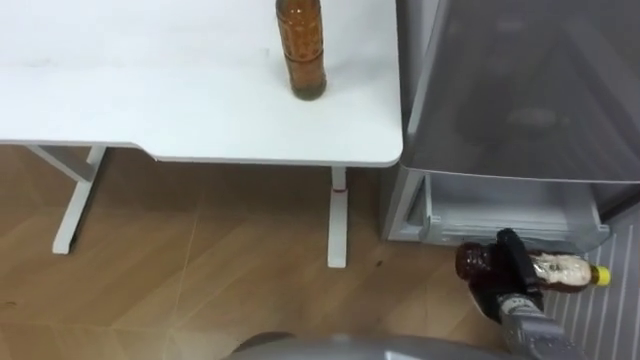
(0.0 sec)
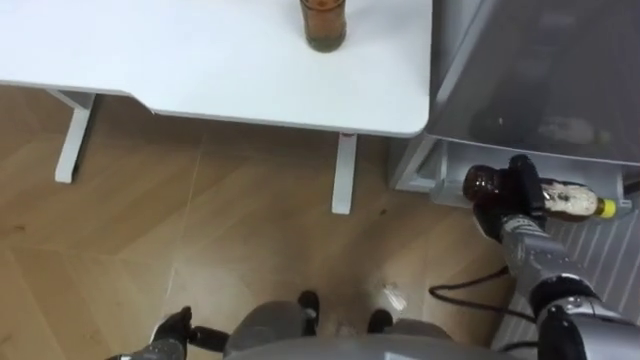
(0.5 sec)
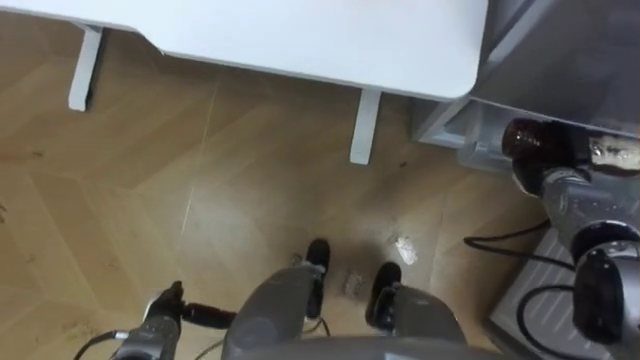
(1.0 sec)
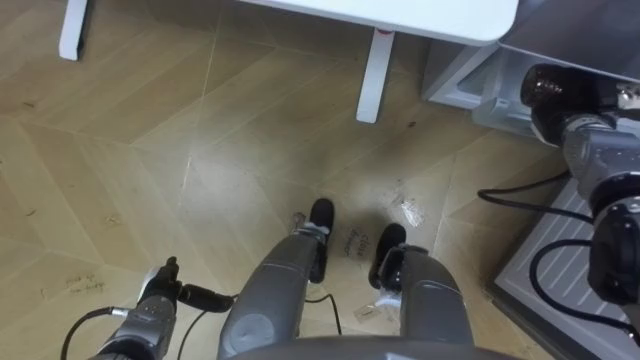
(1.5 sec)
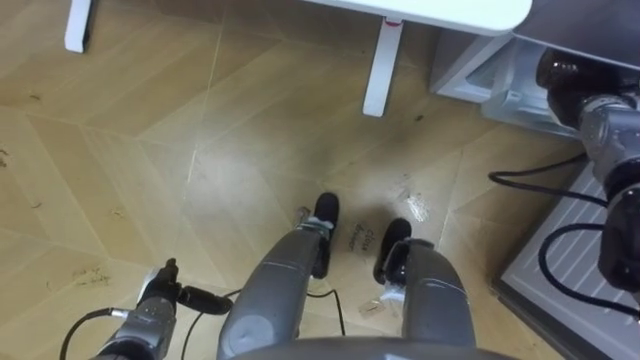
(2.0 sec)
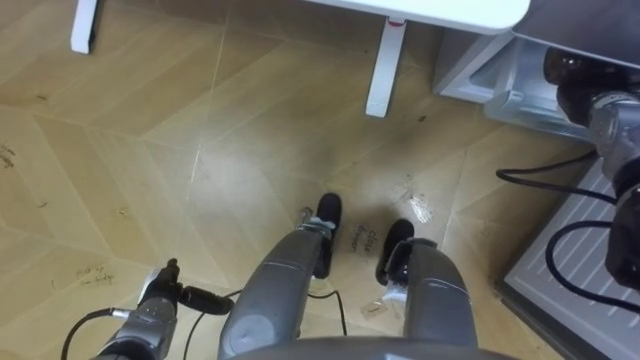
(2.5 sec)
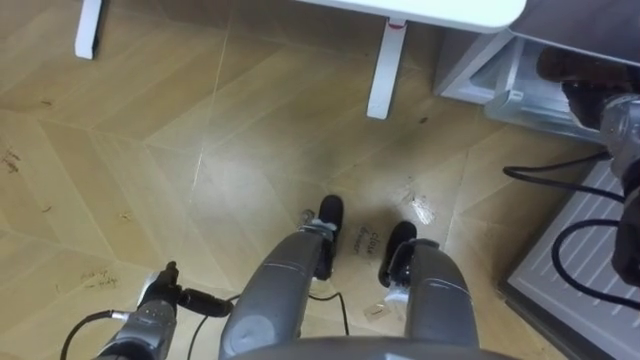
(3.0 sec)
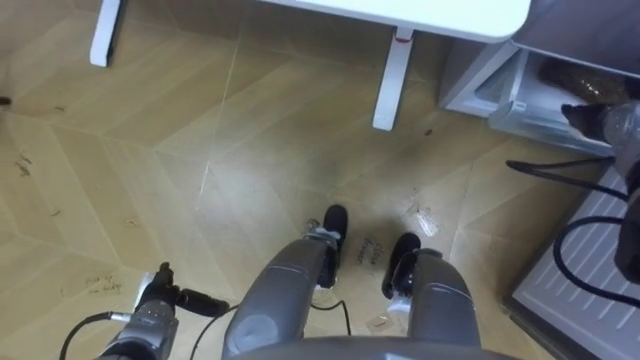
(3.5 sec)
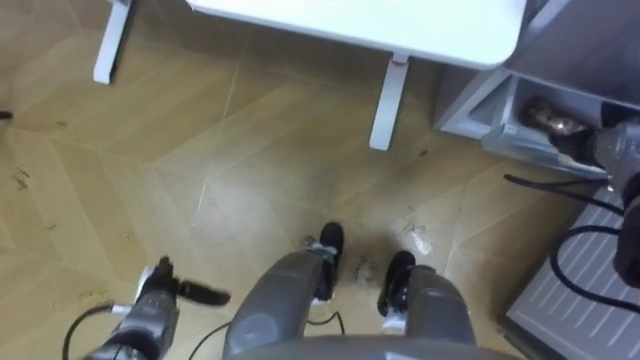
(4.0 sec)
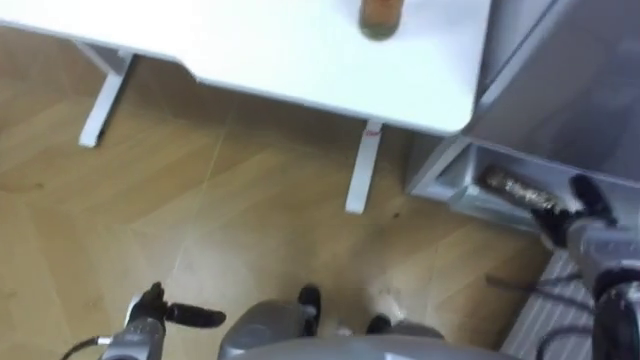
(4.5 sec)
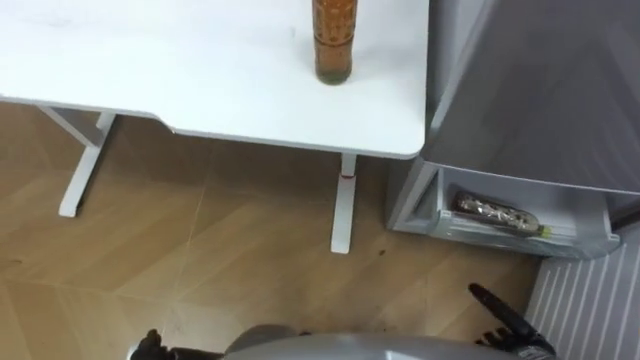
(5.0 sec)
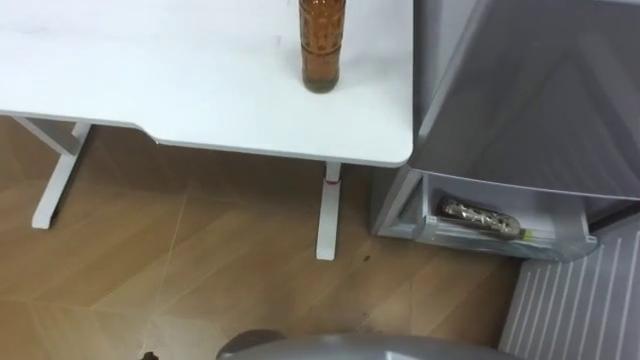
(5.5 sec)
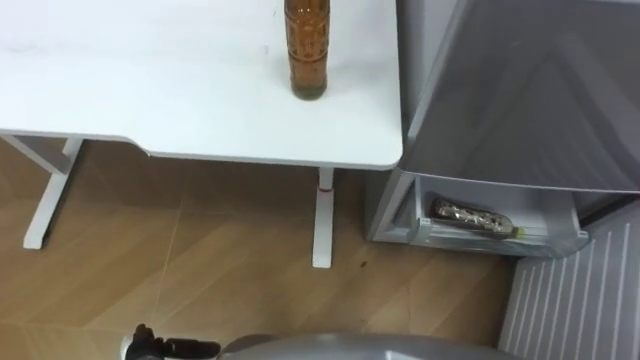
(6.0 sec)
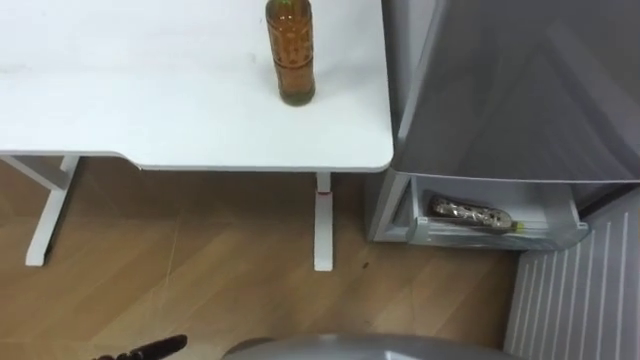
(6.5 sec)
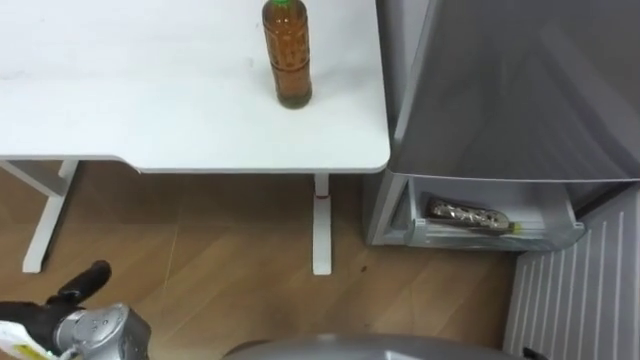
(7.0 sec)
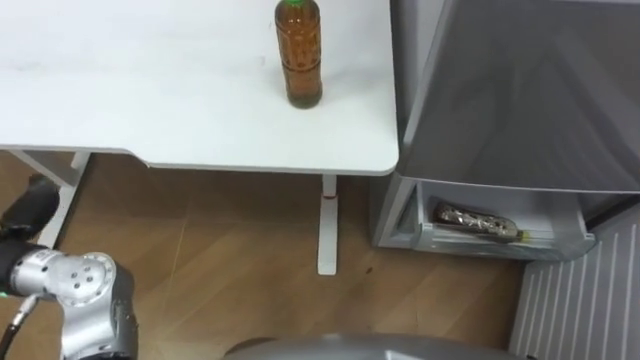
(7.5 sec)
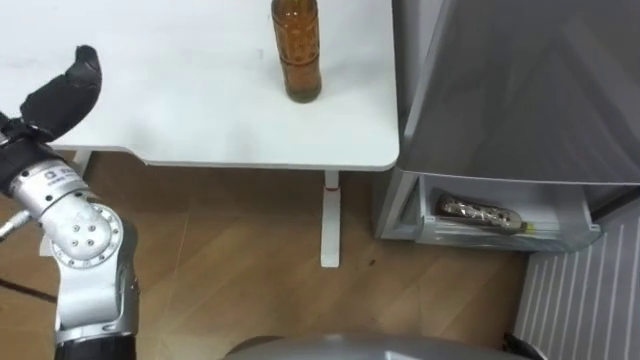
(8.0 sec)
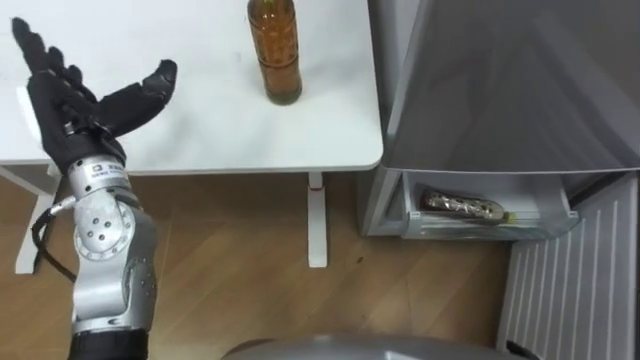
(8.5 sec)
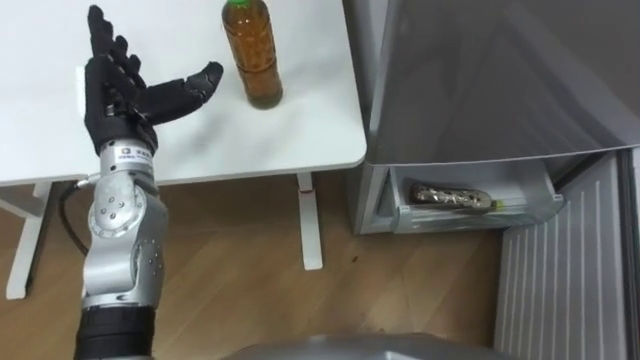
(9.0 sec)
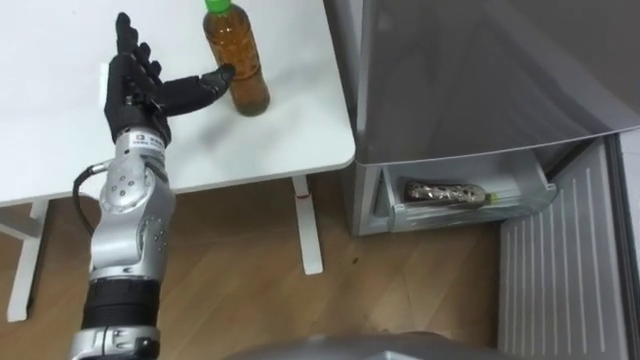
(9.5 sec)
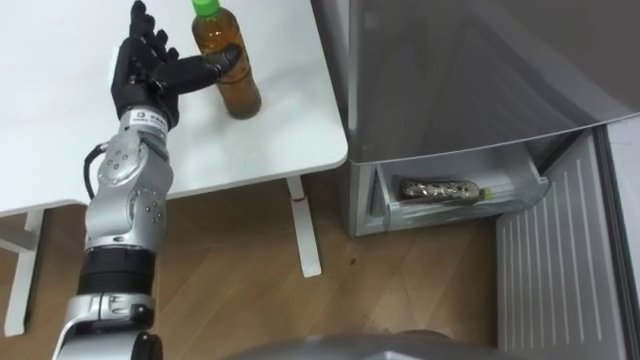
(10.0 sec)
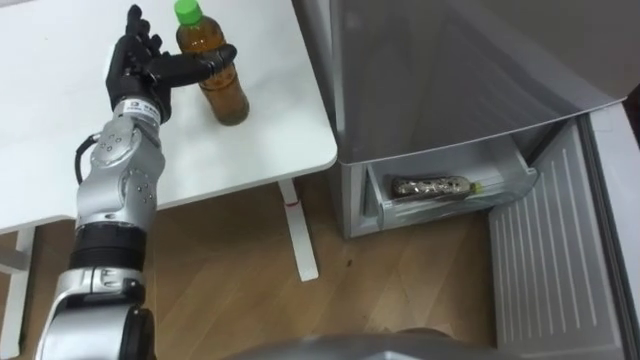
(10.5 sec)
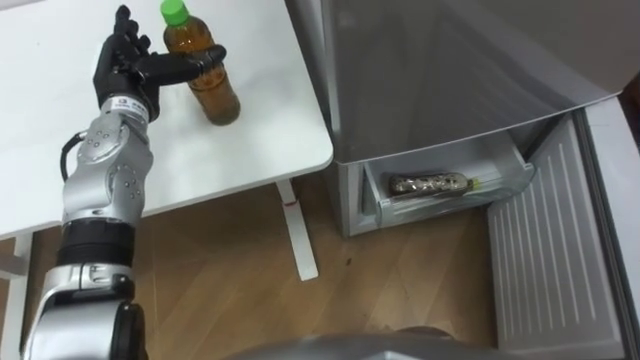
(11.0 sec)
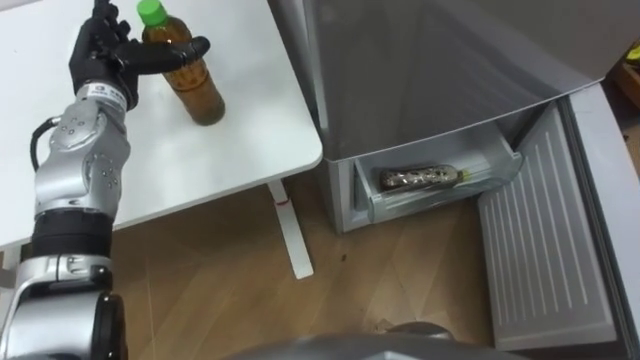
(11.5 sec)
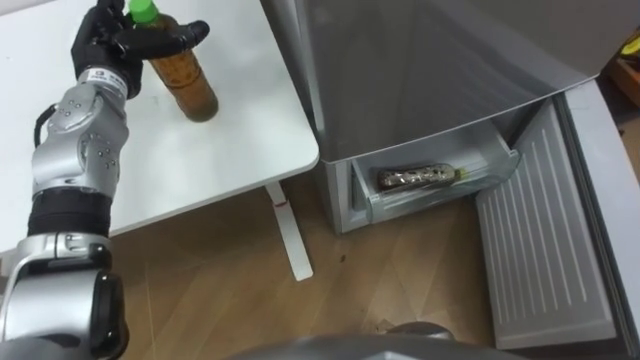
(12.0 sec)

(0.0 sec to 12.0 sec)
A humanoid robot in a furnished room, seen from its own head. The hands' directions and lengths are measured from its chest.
Task of the whole recording: Place the drink on the table on the bottom shelf of the refrigerator, then close the drawer and the refrigerator door.
0.0 sec - 2.0 sec: The right hand is displaced forward and upward by some 30 cm.
2.0 sec - 4.0 sec: The right hand moves approximately 5 cm, and opens up.
10.0 sec - 12.0 sec: The left hand moves some 5 cm.

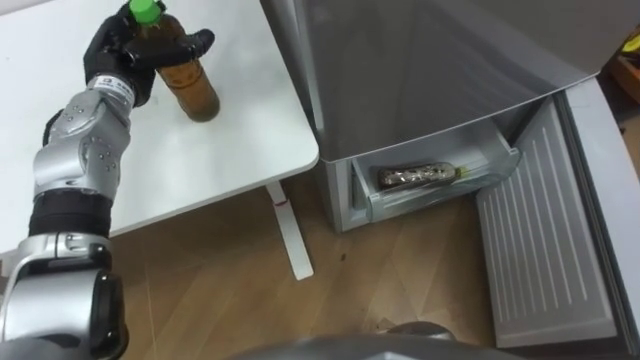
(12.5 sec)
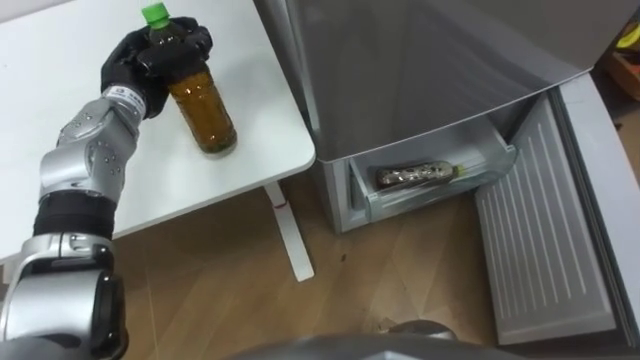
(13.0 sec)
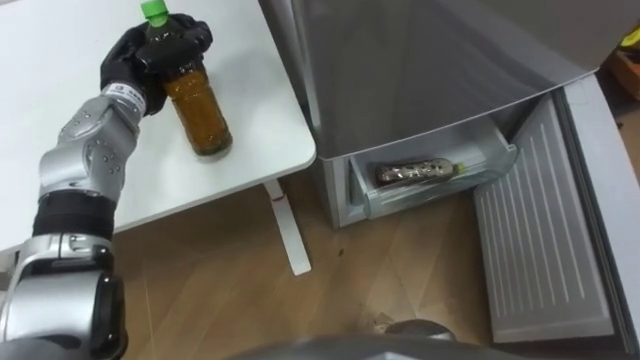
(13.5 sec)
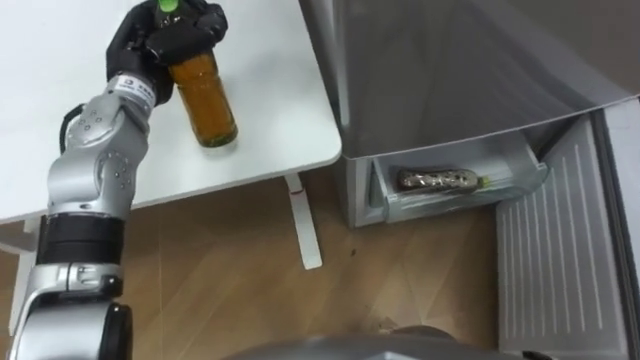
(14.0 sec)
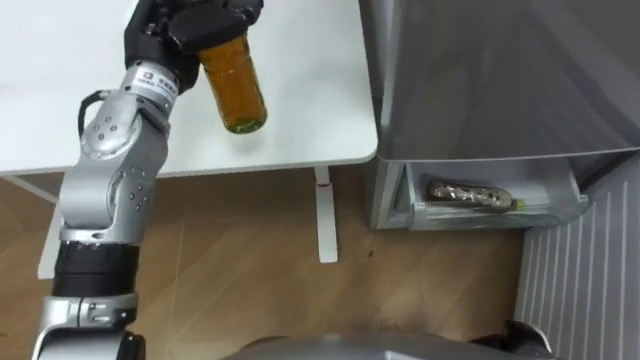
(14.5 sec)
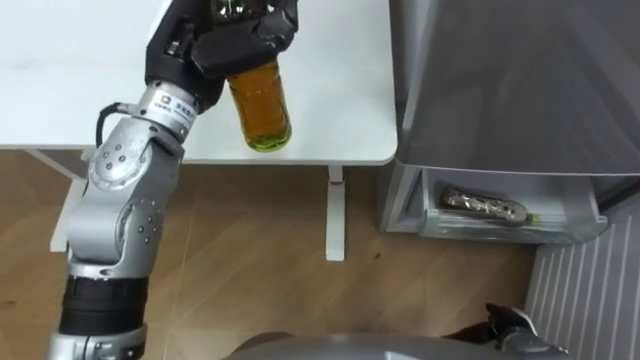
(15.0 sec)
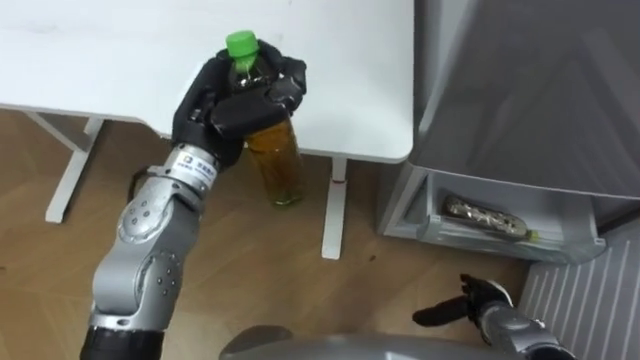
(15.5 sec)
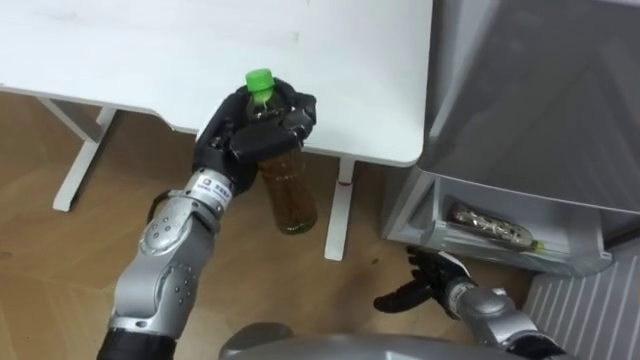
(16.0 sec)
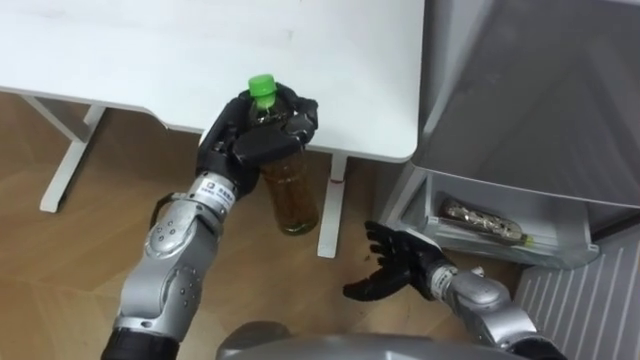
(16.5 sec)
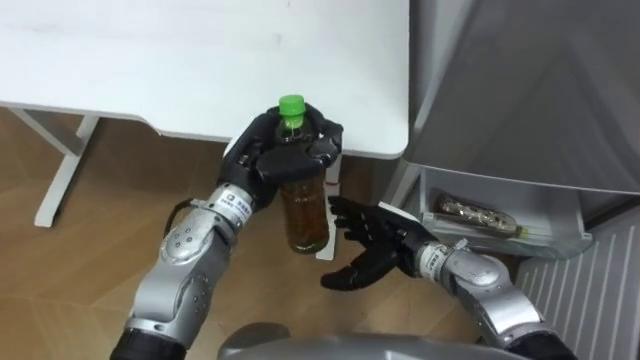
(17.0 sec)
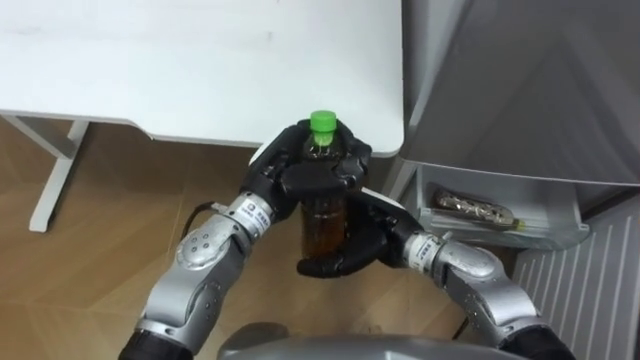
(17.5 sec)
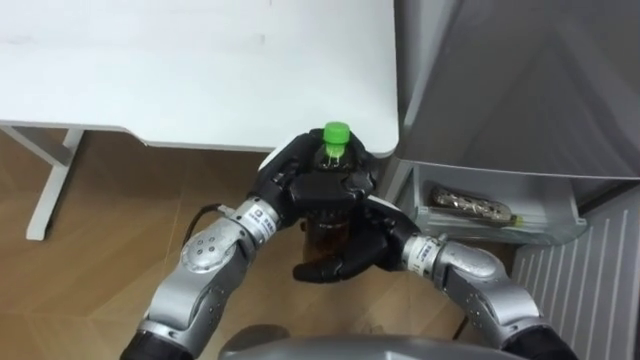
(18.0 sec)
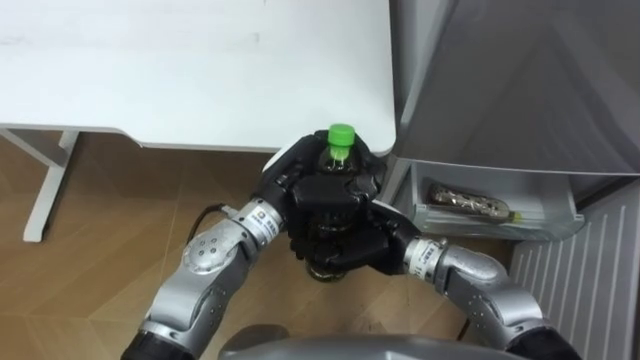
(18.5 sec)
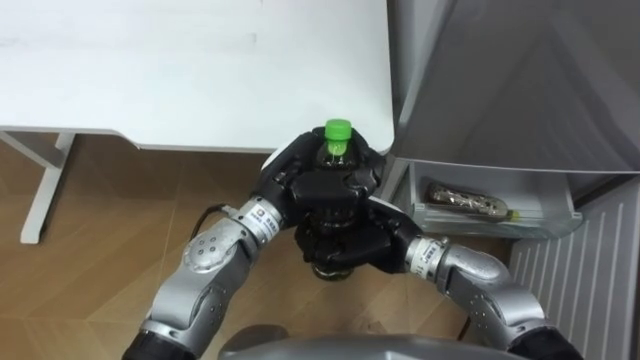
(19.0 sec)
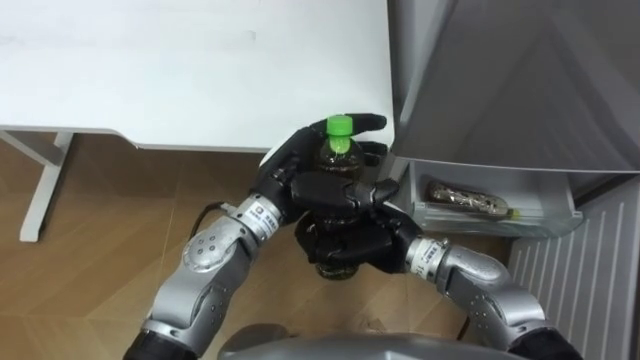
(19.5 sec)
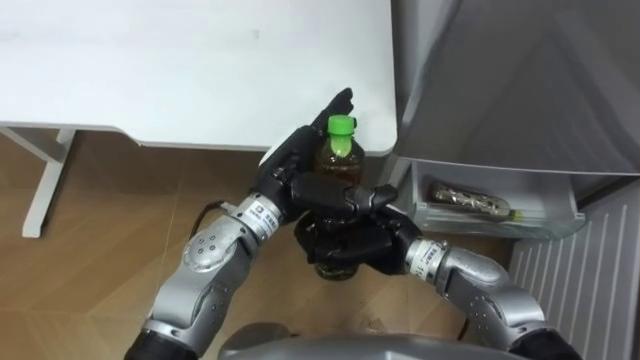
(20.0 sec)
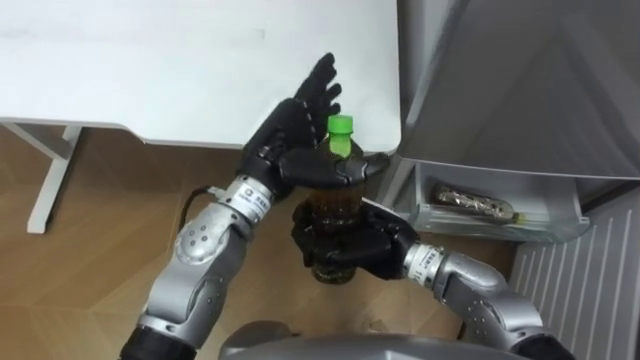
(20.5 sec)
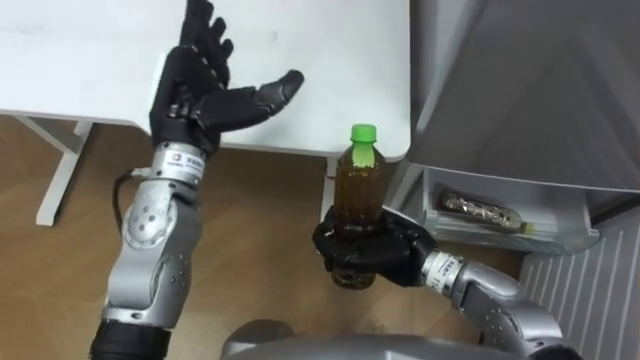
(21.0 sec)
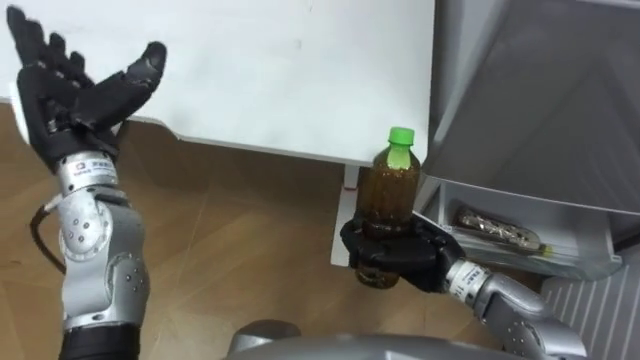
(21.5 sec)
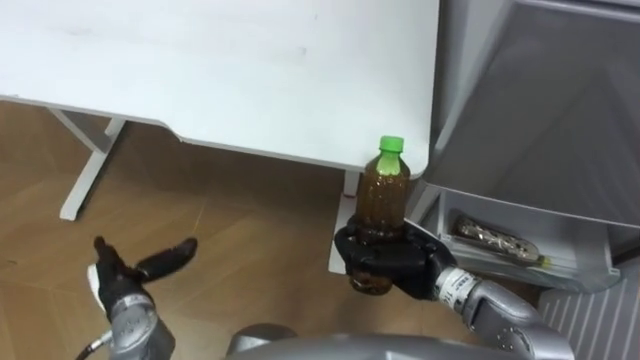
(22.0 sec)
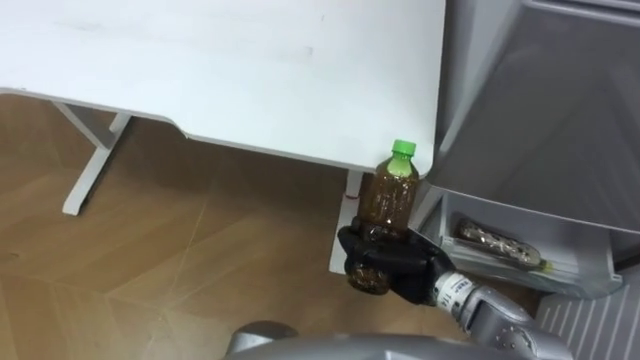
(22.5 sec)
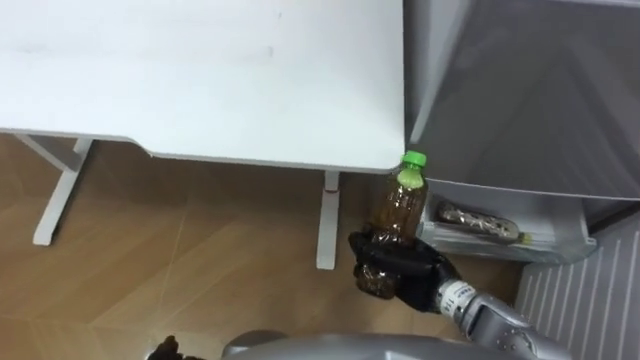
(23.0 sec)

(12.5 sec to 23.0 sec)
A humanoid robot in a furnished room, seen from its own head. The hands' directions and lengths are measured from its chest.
Task of the whole recording: Place the drink on the table on the bottom shelf of the refrigerator, then close the drawer and the refrigerator door.
12.5 sec - 14.5 sec: The left hand travels to the right and upward by approximately 10 cm, and closes up.
14.5 sec - 16.5 sec: The right hand travels to the left and forward by some 20 cm; the left hand heads downward, backward and to the right, covering approximately 15 cm.
16.5 sec - 19.0 sec: The right hand heads upward and to the left, covering some 10 cm, and closes up. The left hand is displaced to the right by about 5 cm.
19.0 sec - 21.0 sec: The left hand heads to the left and upward, covering approximately 15 cm, and opens.
21.0 sec - 23.0 sec: The right hand shifts approximately 5 cm downward.
